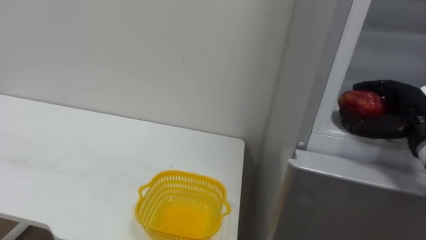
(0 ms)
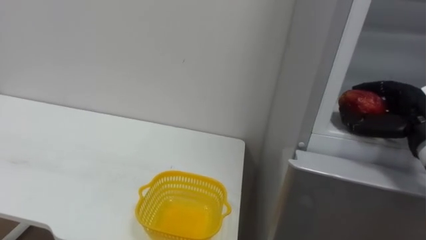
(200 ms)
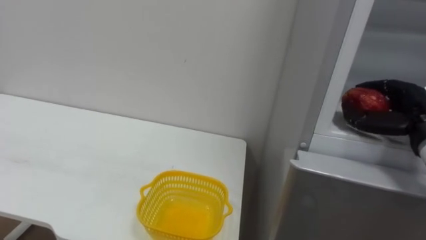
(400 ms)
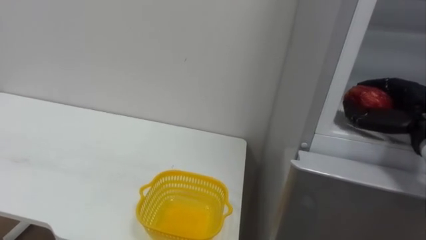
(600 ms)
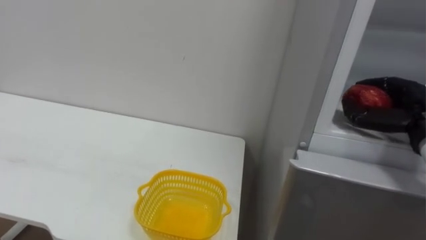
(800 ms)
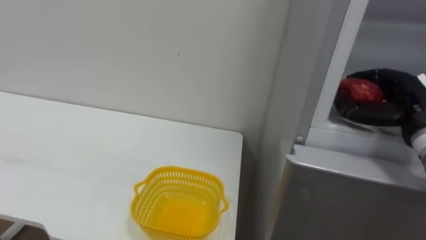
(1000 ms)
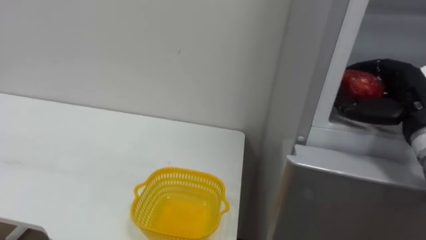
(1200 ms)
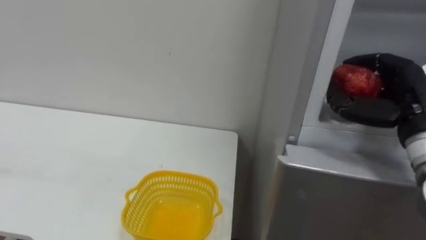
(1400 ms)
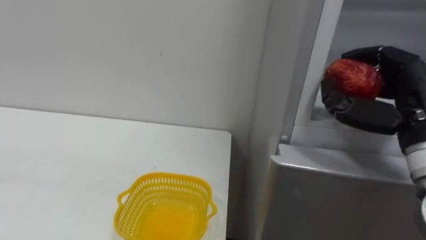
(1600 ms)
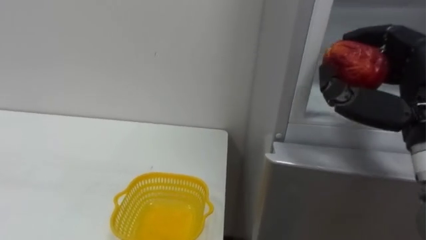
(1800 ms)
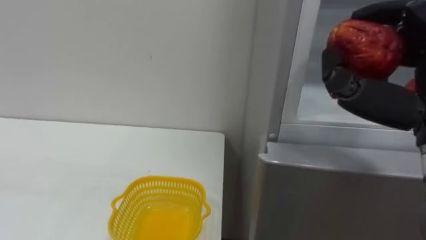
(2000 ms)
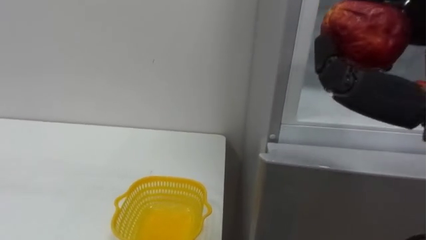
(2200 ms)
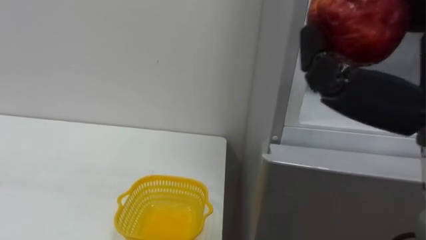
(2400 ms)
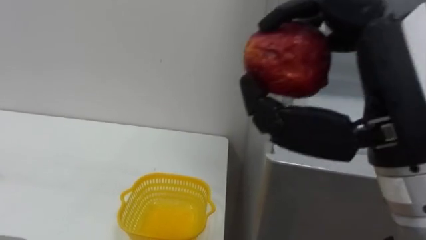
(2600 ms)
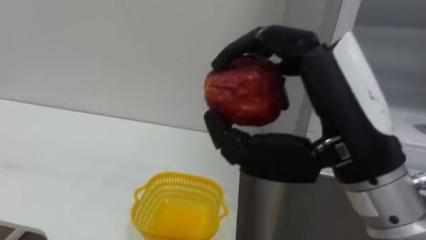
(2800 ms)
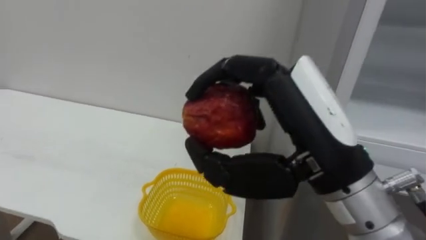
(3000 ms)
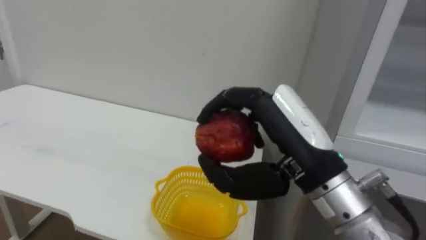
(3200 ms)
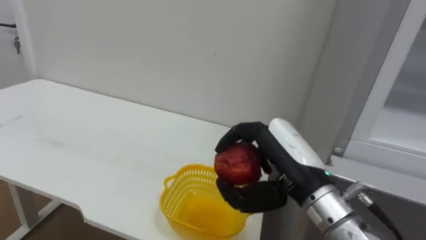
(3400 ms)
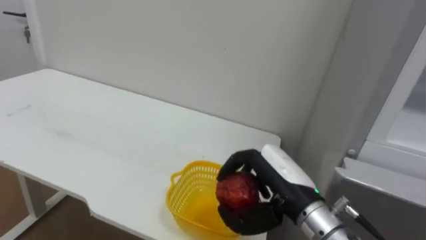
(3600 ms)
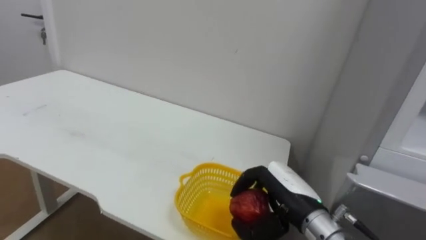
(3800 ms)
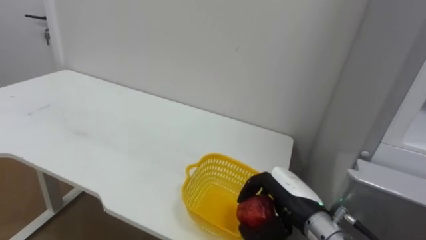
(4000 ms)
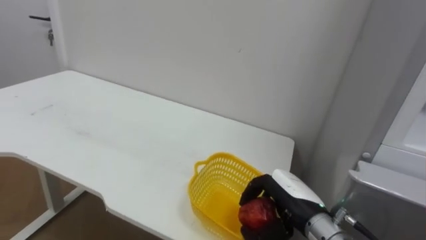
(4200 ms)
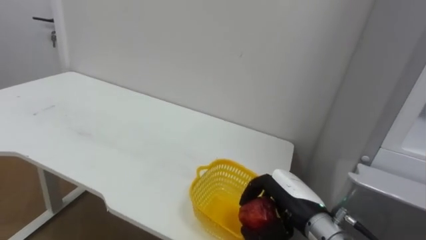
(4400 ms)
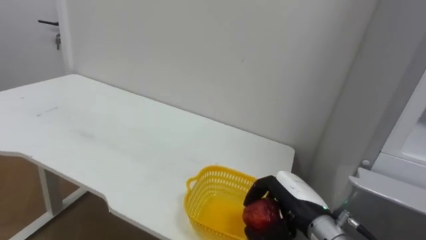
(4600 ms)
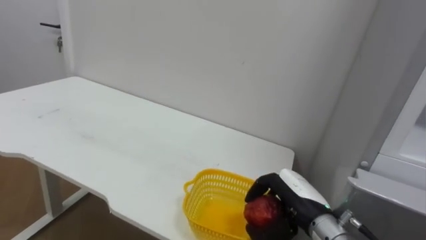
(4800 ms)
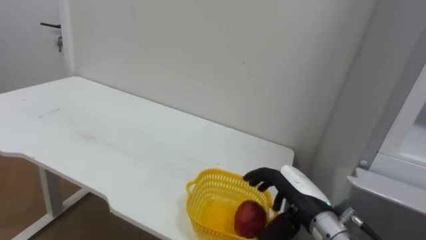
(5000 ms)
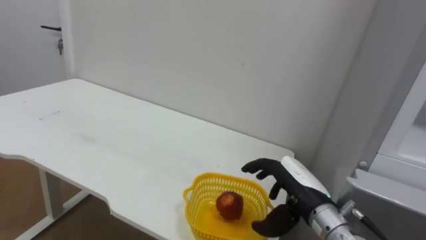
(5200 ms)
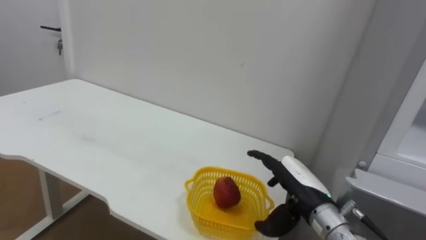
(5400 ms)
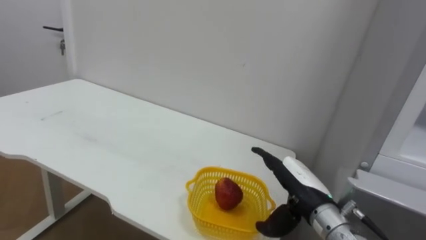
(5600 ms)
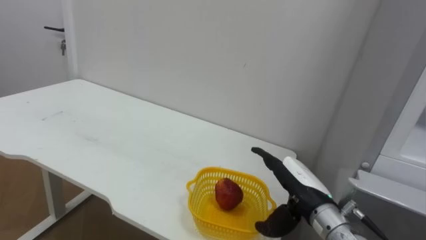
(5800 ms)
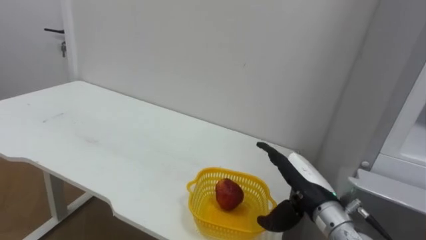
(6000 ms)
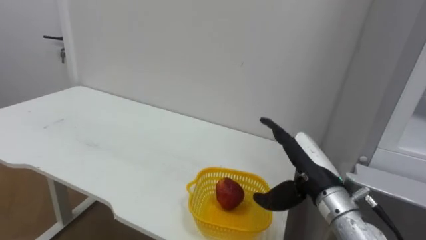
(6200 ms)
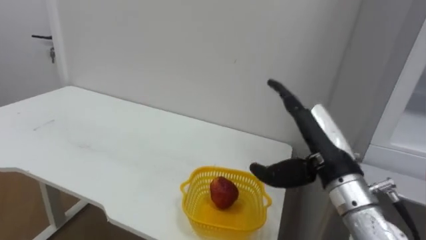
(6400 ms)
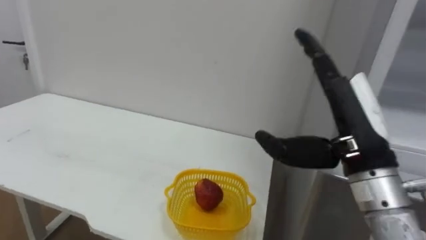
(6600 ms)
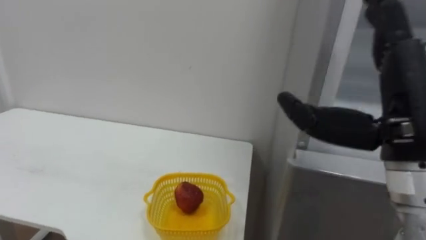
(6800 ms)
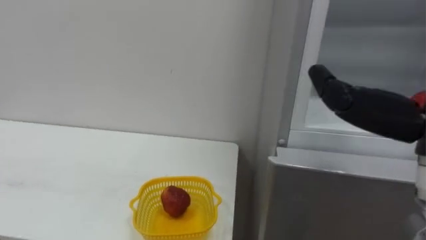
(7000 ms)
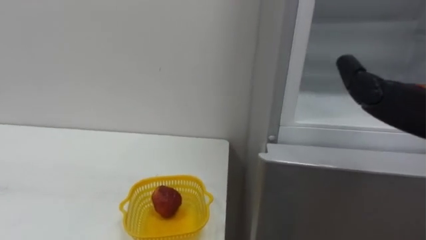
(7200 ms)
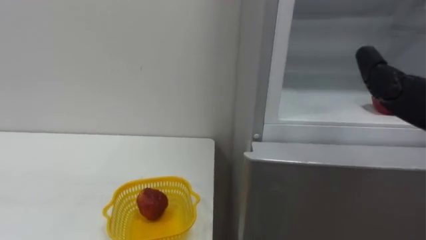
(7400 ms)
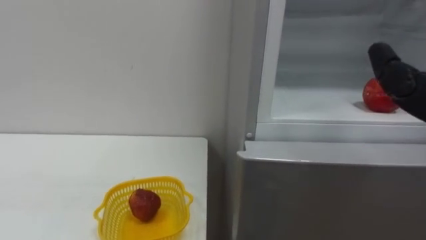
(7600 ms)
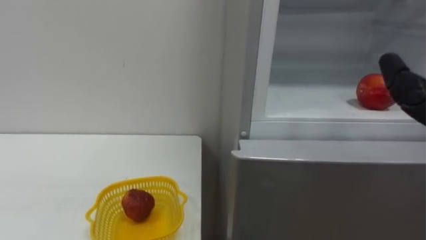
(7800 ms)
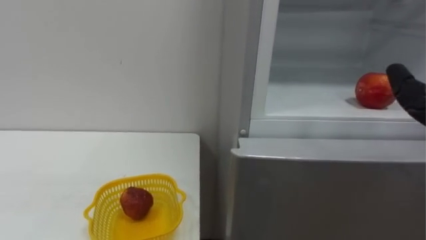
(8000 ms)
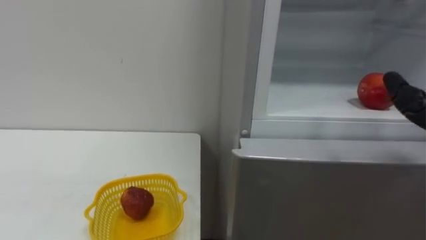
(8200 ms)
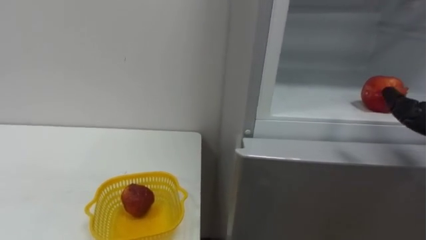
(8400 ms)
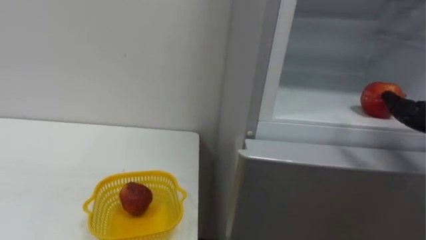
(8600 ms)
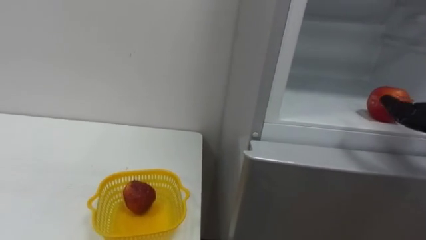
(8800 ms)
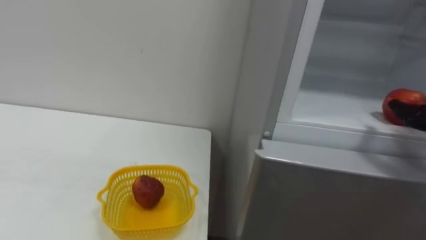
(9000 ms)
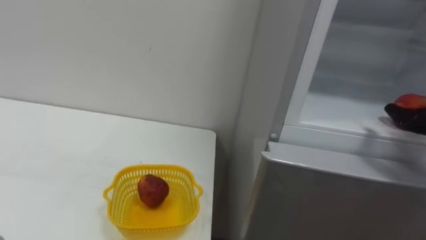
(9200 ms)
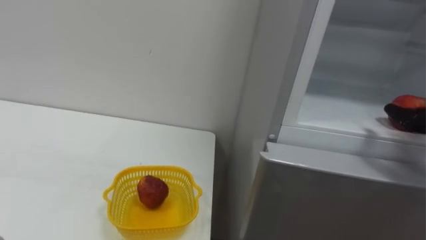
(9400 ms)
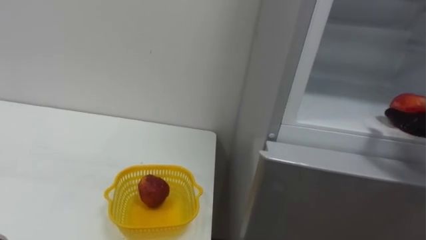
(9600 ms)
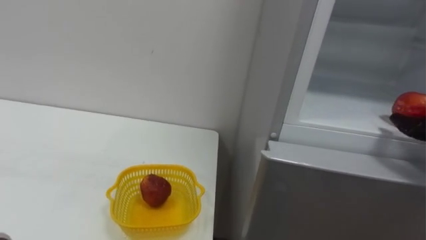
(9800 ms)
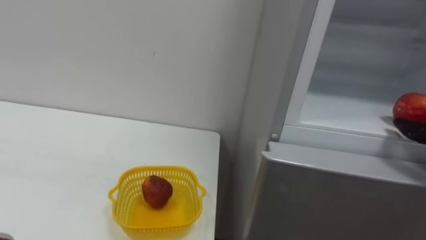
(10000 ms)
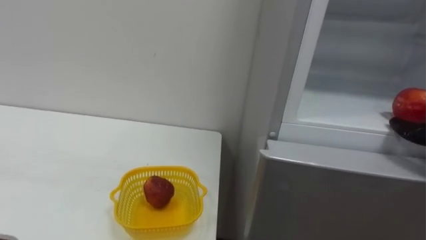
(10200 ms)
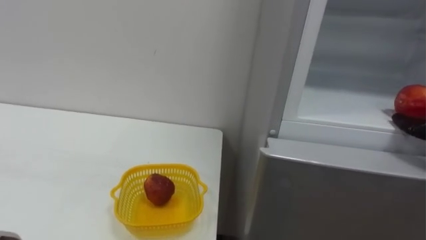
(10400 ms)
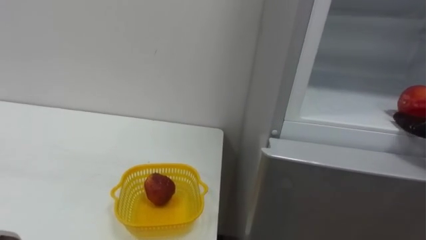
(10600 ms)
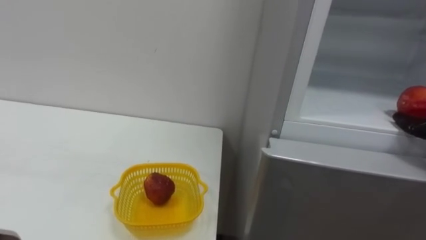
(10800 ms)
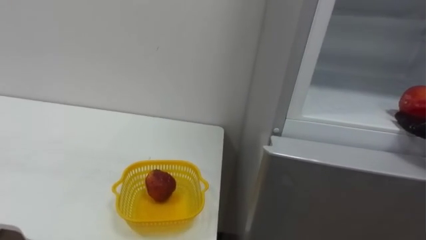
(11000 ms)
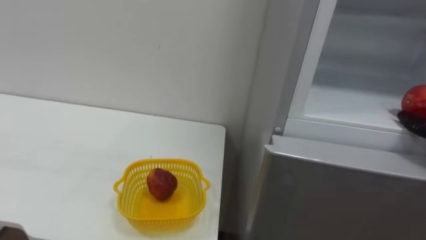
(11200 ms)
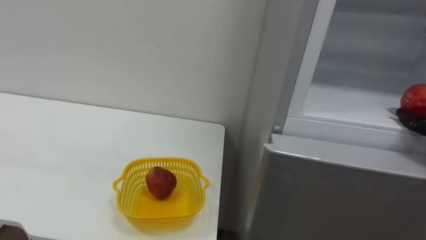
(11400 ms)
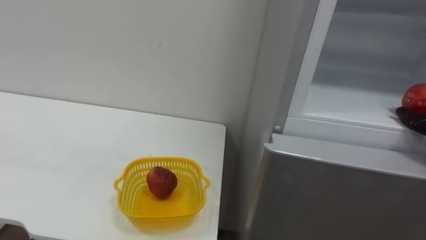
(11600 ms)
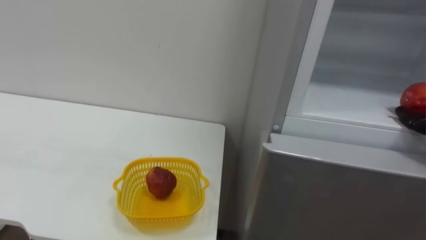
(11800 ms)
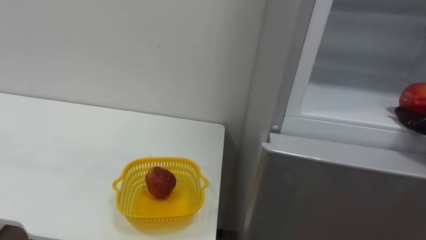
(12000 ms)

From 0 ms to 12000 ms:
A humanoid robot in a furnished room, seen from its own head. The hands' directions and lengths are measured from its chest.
Task of the whole recording: Open the refrigerator door, take out the apple and the pomegranate, place them in the fruit basket on the left, and close the refrigerator door.
From 0 ms to 1600 ms: The right hand moves upward, backward and to the left, roughly 10 cm.
From 3000 ms to 4400 ms: The right hand is displaced downward and forward by roughly 25 cm.
From 4400 ms to 6000 ms: The right hand opens up.

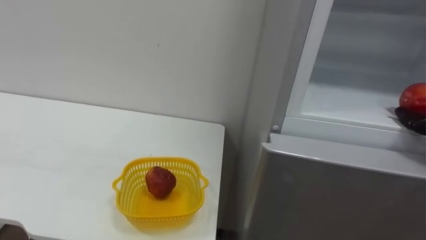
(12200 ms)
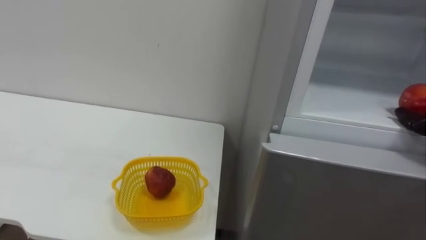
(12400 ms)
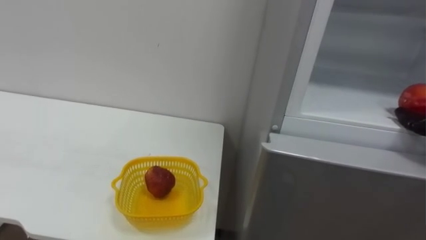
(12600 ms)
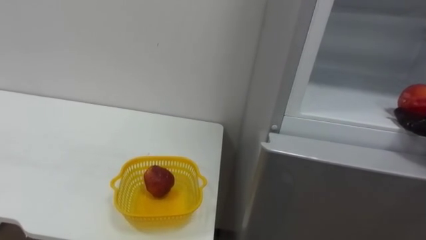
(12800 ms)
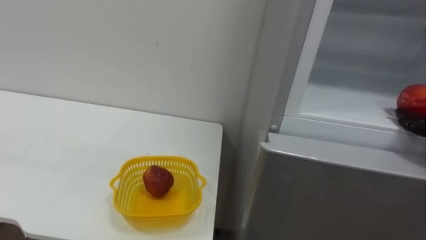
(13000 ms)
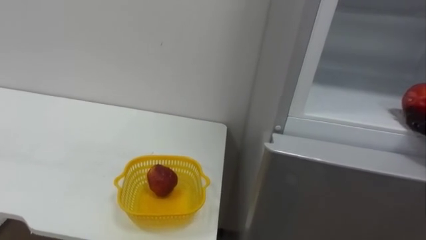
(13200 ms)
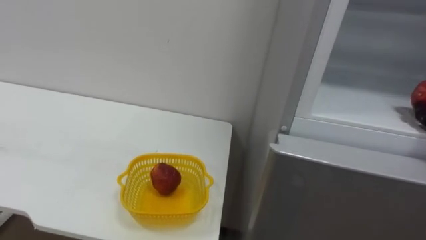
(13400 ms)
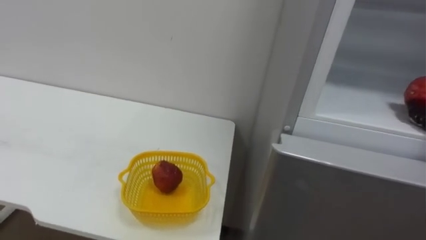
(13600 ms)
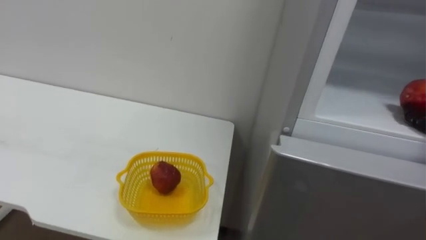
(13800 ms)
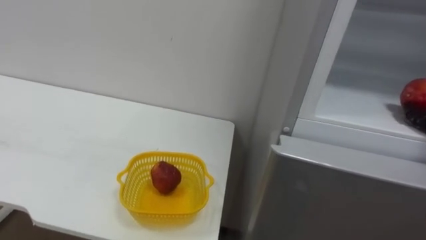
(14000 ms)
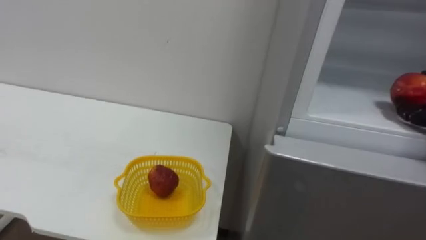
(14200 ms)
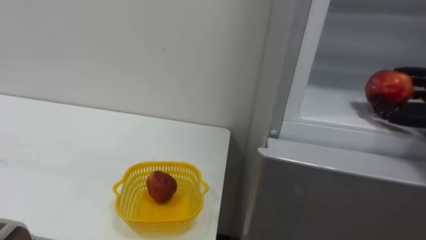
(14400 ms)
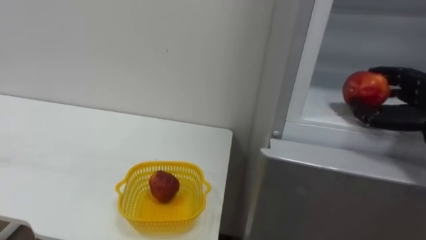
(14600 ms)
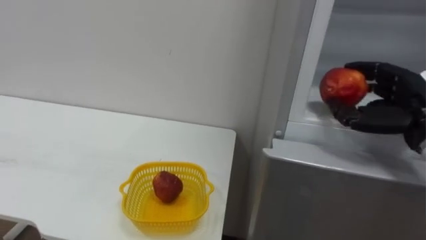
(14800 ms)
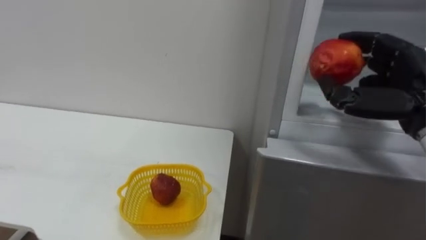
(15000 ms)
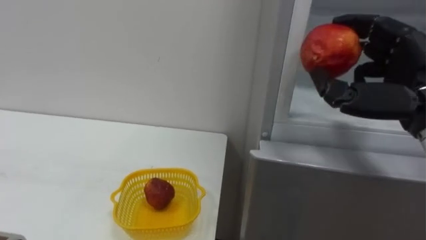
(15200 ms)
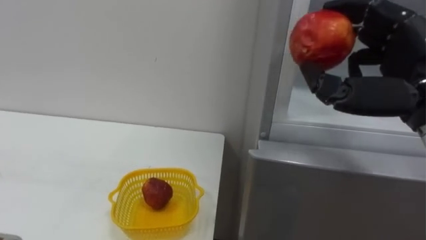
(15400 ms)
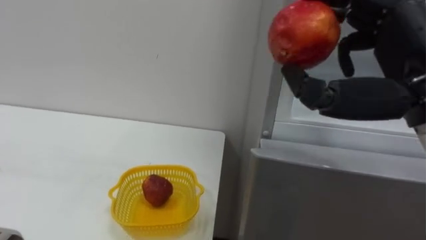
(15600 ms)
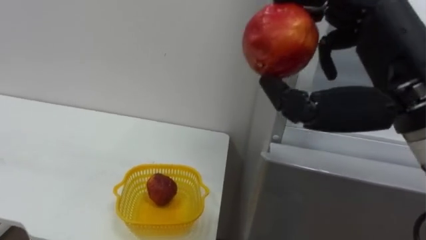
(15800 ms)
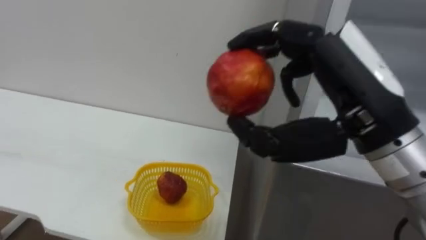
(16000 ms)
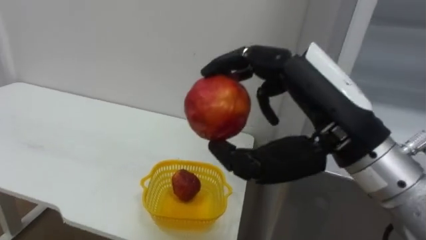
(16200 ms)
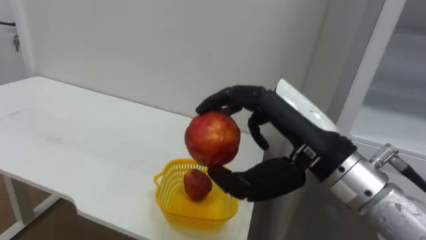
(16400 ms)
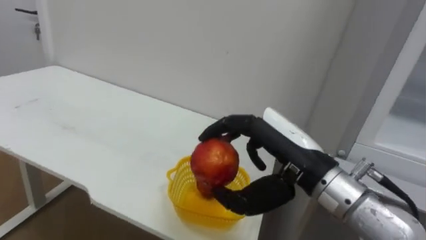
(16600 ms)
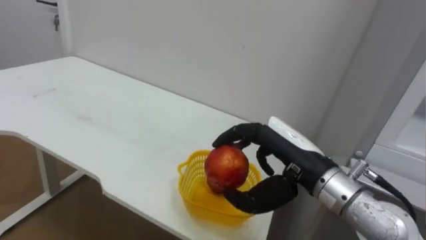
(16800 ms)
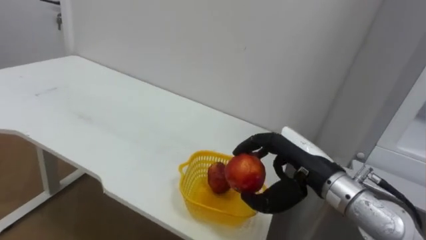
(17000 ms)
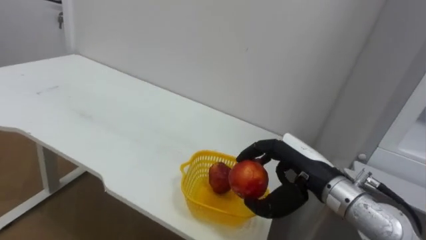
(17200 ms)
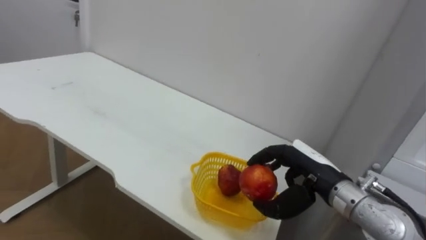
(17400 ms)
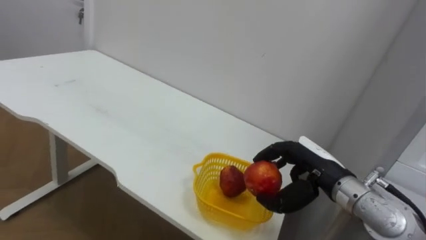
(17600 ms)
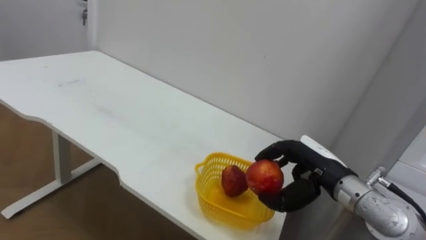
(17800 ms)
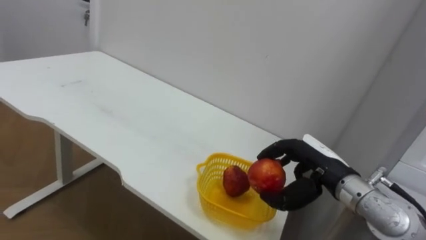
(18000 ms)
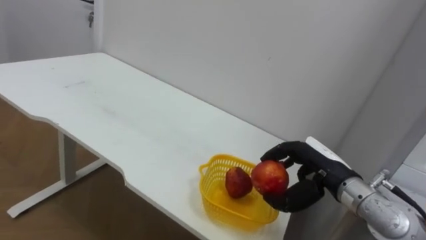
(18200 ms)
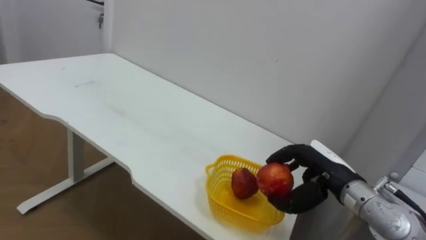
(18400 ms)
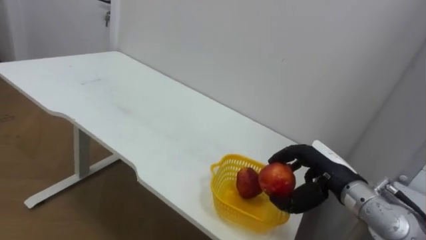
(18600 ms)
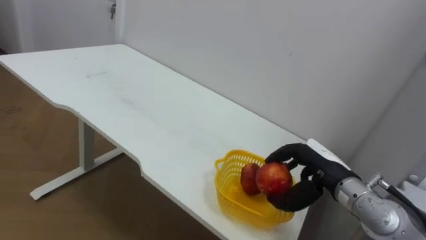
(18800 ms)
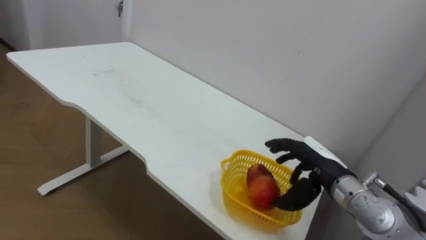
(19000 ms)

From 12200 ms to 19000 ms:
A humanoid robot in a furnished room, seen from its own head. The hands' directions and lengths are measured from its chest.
Task of the whole recording: Open the refrigerator door, take out the apple and the pomegranate, place them in the fruit basket on the left, and close the refrigerator door.
From 15000 ms to 16200 ms: The right hand shifts some 20 cm to the left and backward.
From 16200 ms to 17600 ms: The right hand heads downward and forward, covering some 20 cm.
